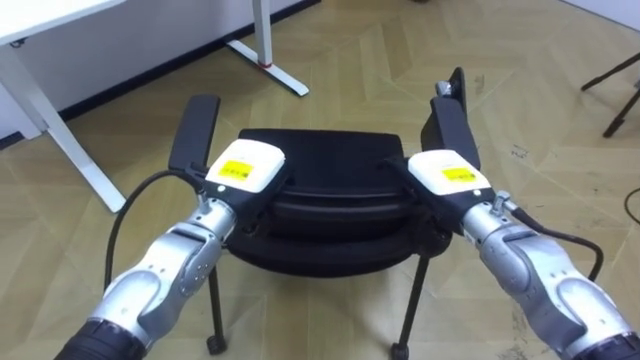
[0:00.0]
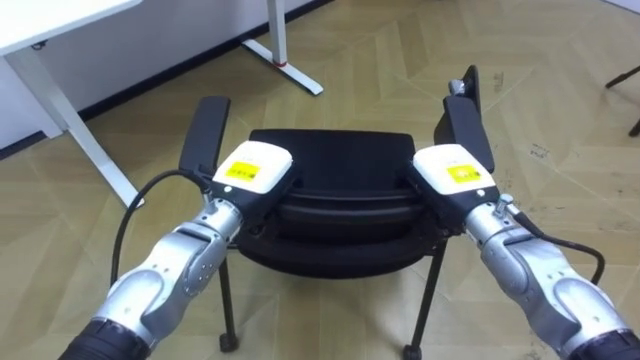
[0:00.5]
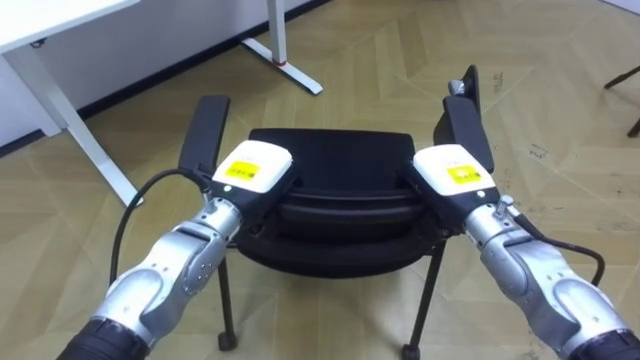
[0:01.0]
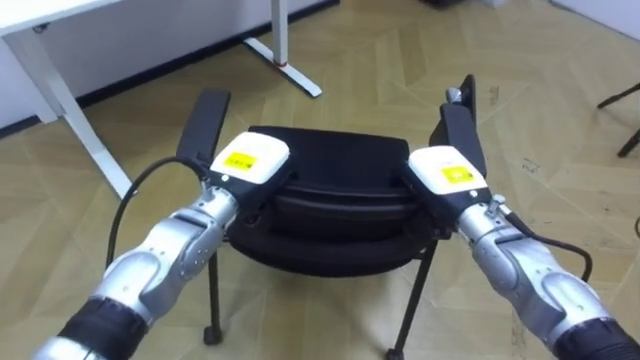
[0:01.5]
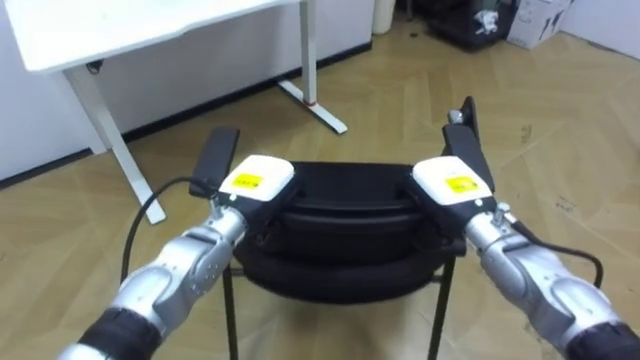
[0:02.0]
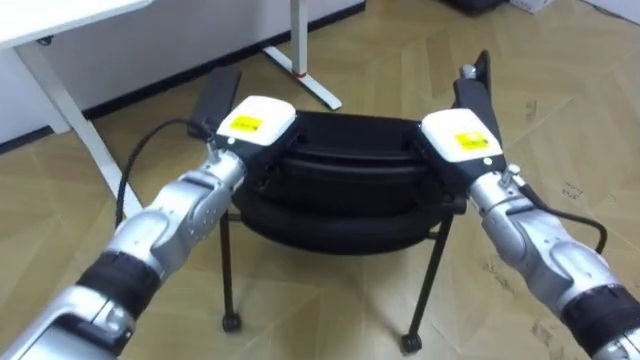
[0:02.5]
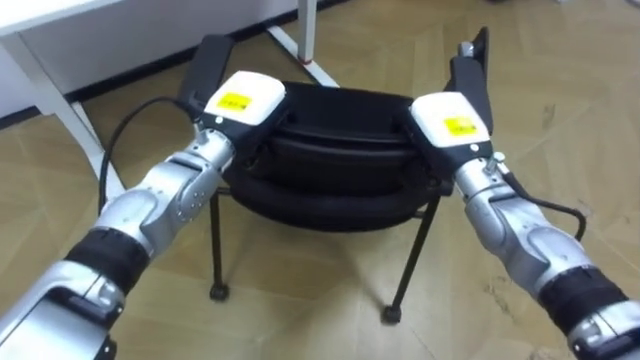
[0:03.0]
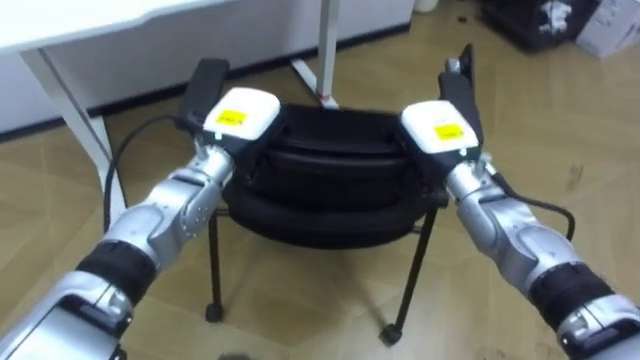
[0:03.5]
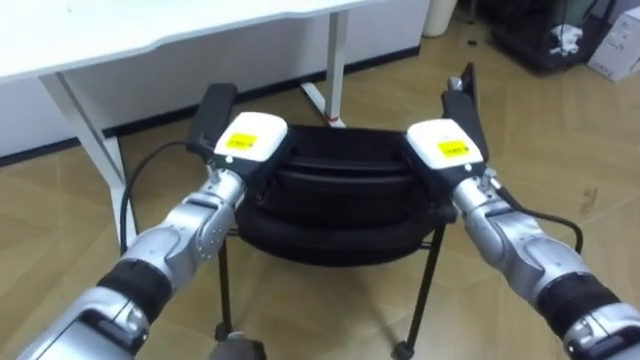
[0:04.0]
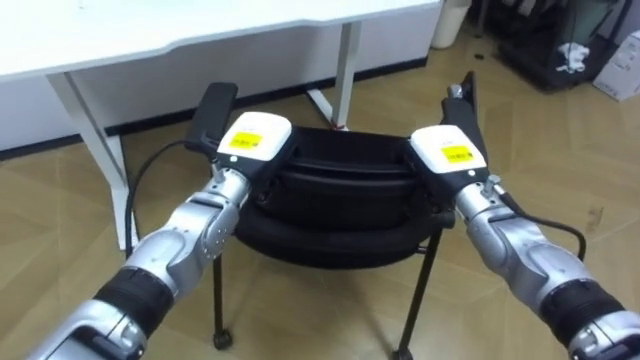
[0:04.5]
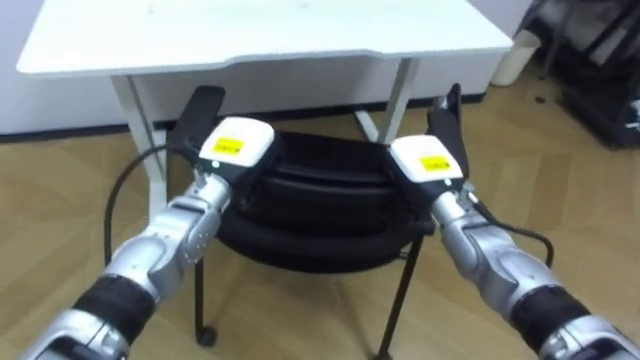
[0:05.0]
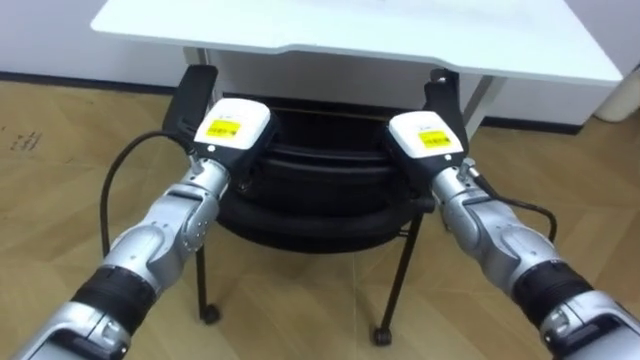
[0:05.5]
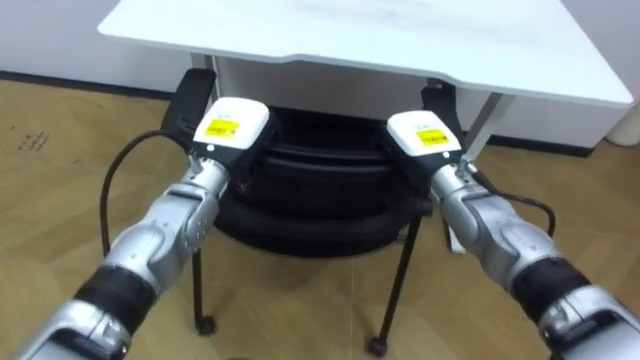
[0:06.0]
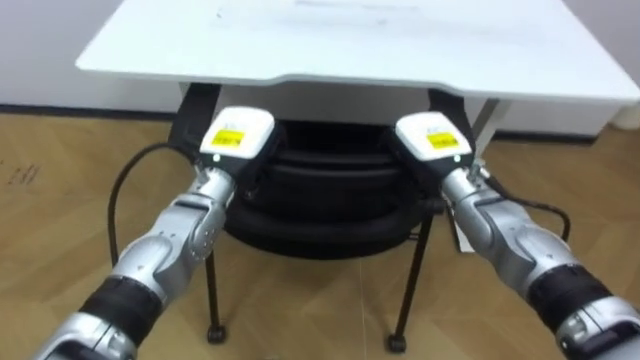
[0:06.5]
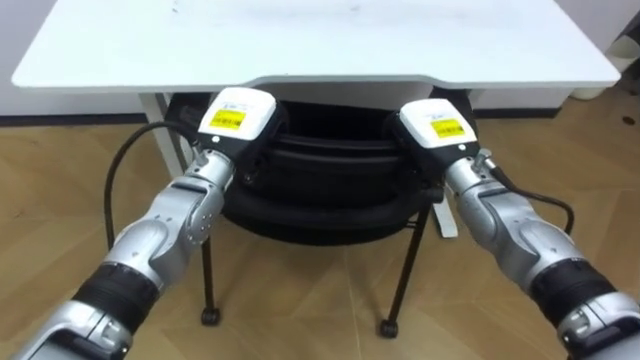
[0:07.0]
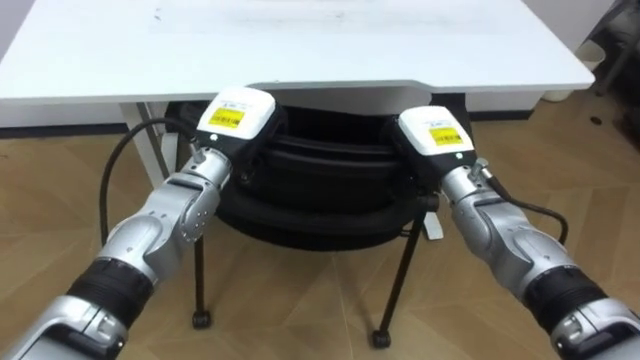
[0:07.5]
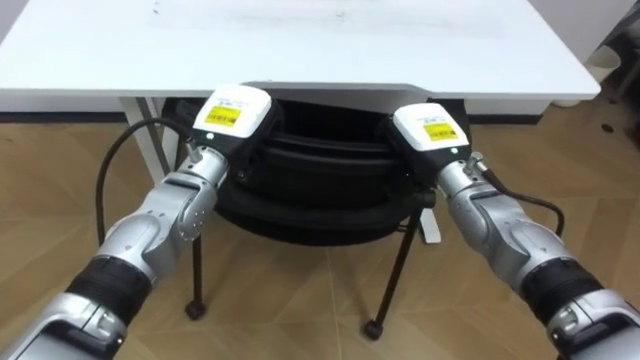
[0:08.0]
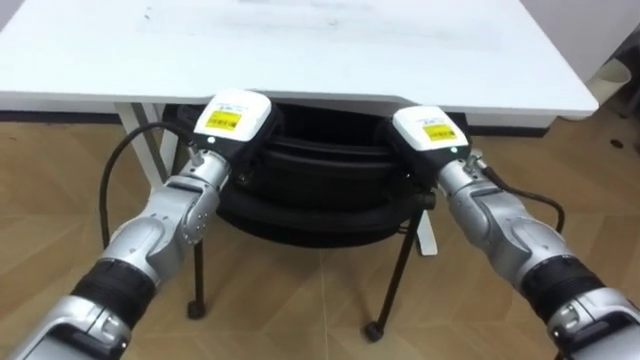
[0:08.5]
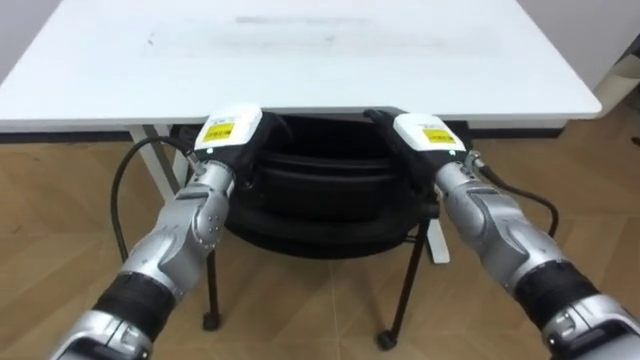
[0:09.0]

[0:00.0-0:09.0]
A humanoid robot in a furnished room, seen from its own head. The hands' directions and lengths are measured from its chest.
Task of the whole recording: Push the chair under the table.
0:00.0 to 0:02.0: The right hand closes its fingers.
0:07.0 to 0:09.0: The left hand opens, while the right hand opens its fingers.

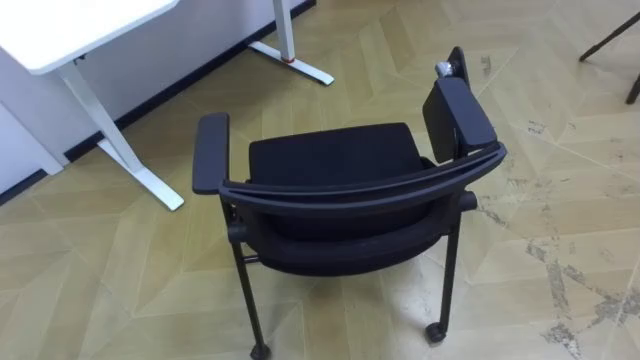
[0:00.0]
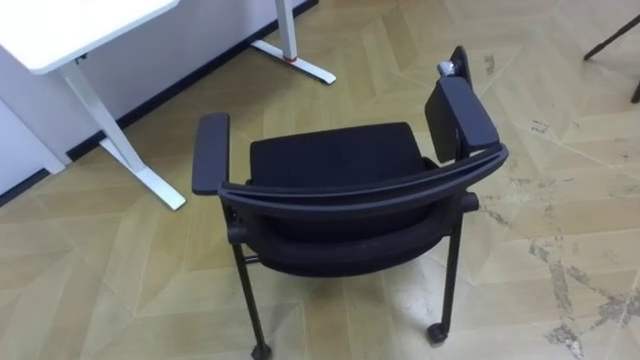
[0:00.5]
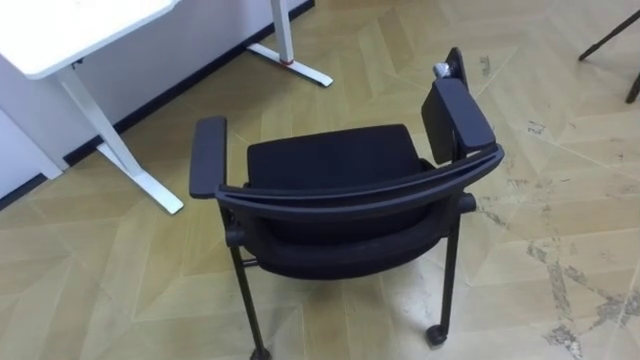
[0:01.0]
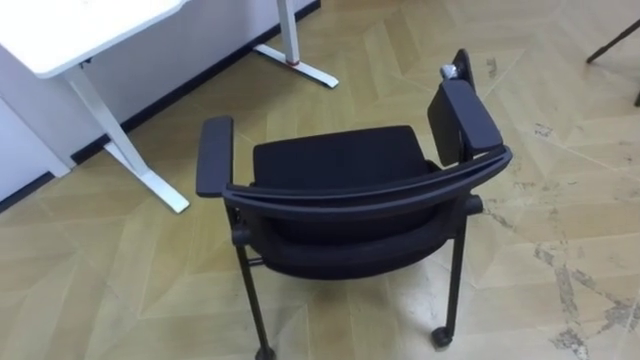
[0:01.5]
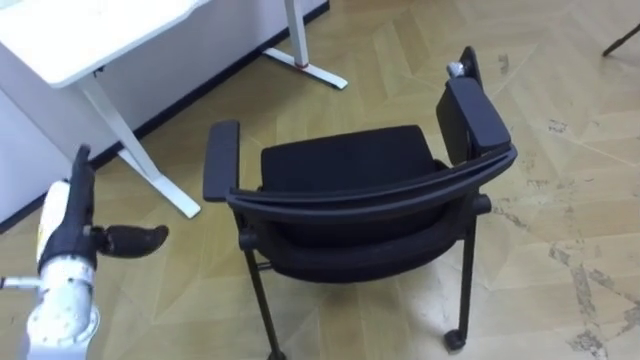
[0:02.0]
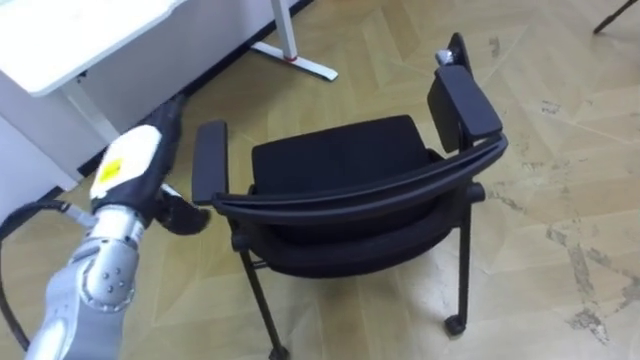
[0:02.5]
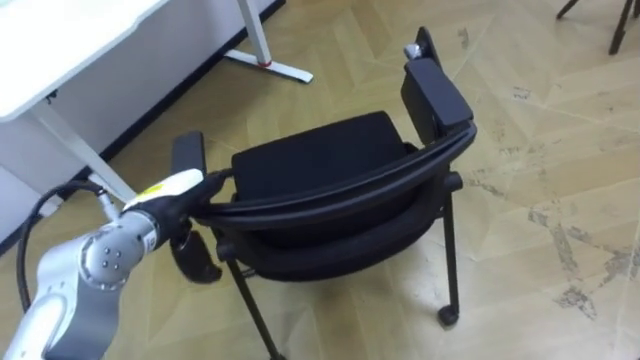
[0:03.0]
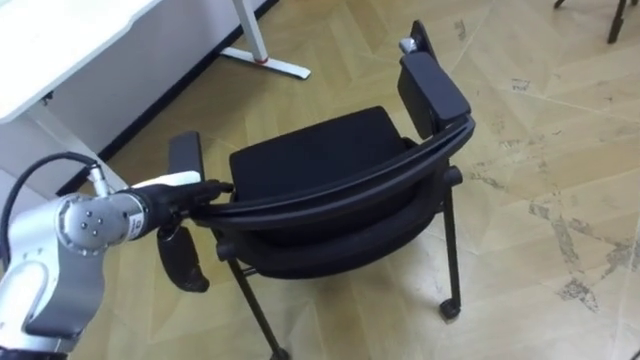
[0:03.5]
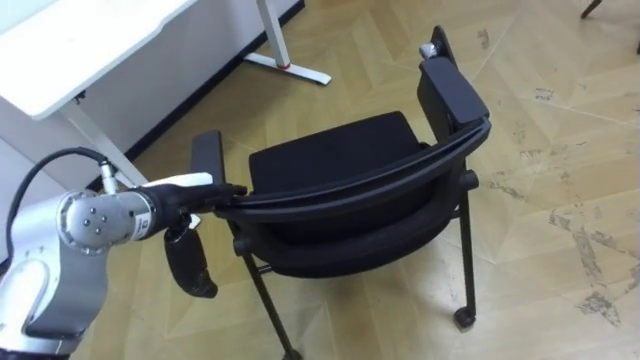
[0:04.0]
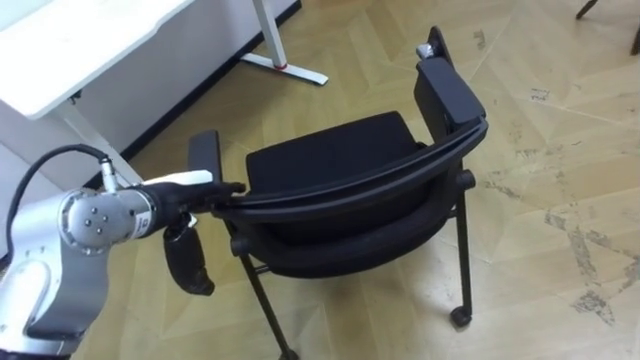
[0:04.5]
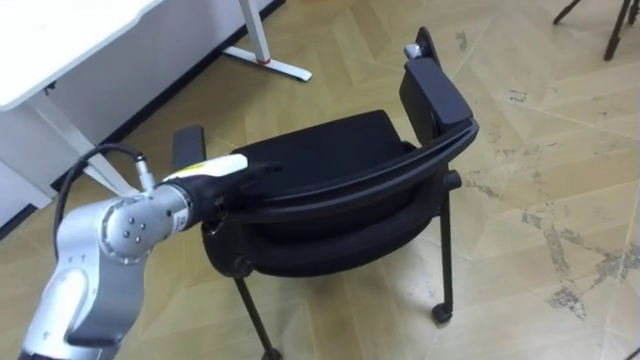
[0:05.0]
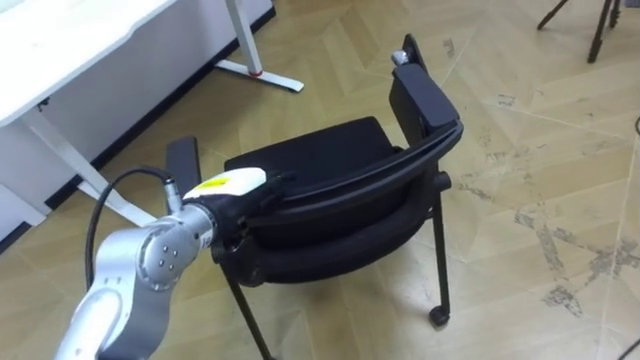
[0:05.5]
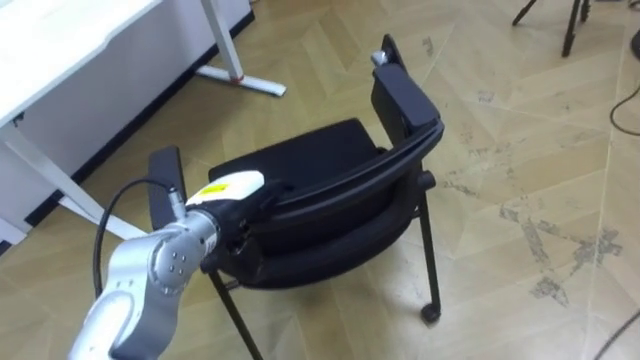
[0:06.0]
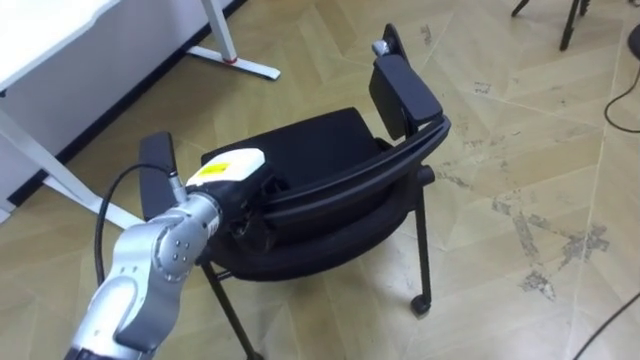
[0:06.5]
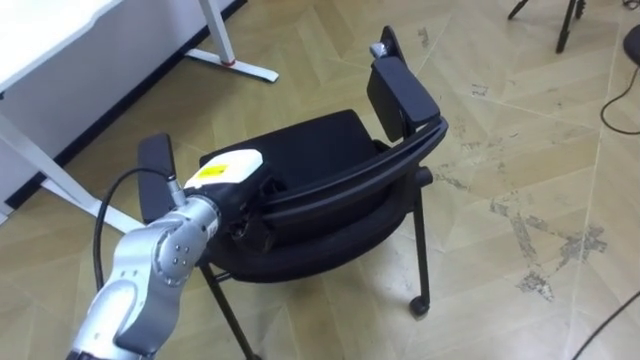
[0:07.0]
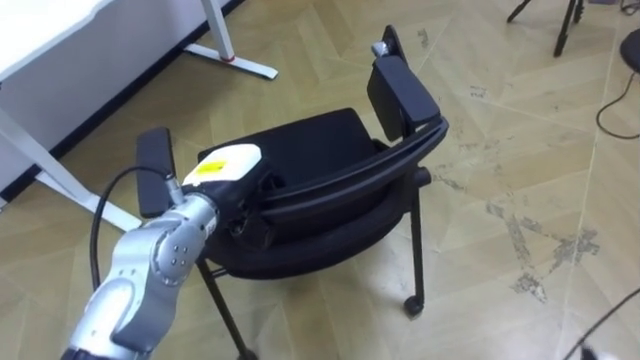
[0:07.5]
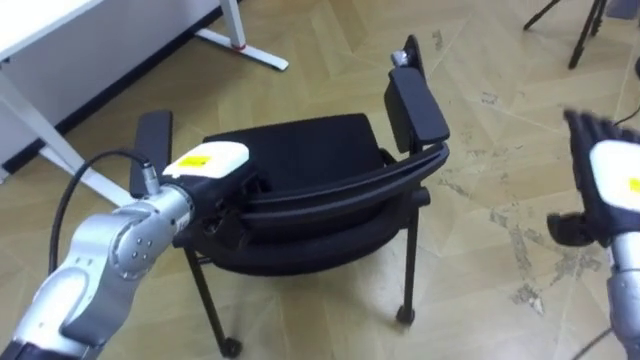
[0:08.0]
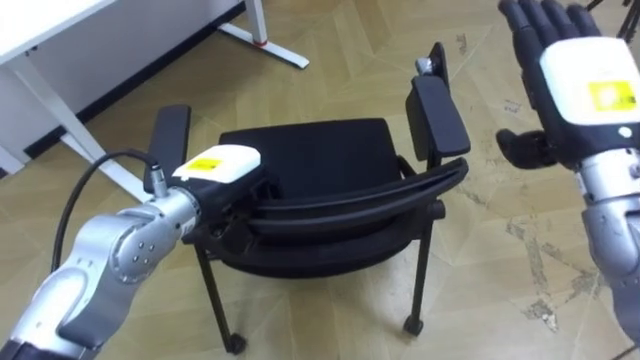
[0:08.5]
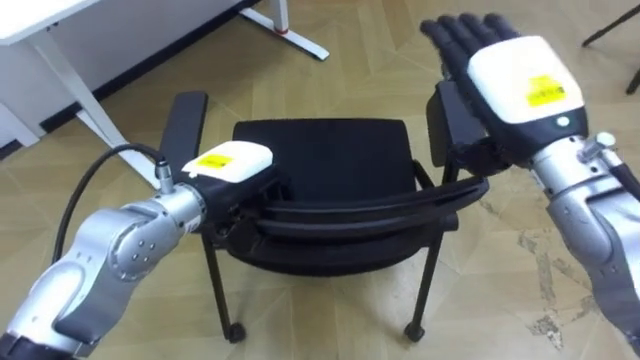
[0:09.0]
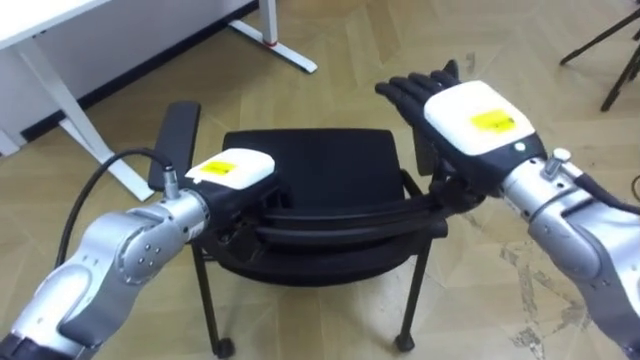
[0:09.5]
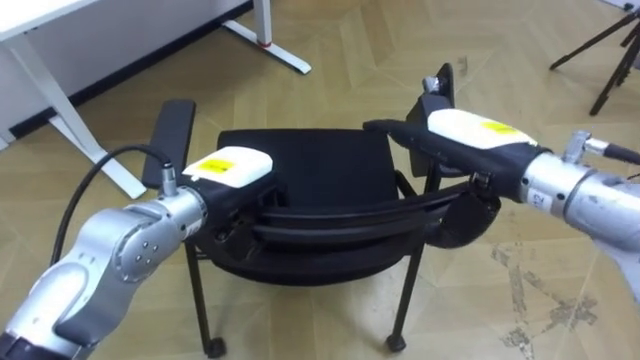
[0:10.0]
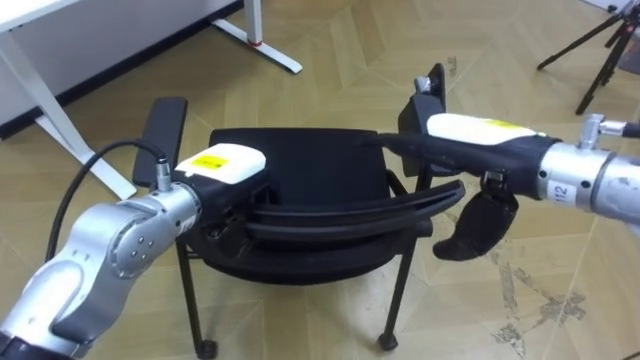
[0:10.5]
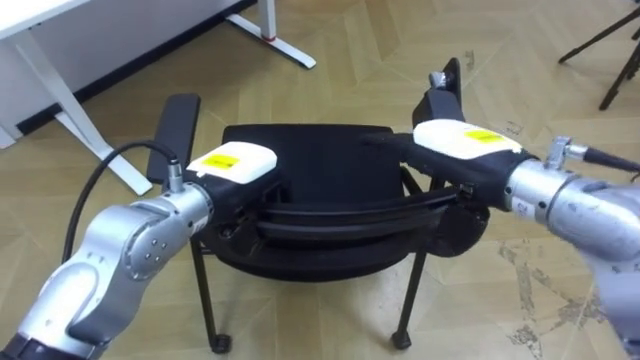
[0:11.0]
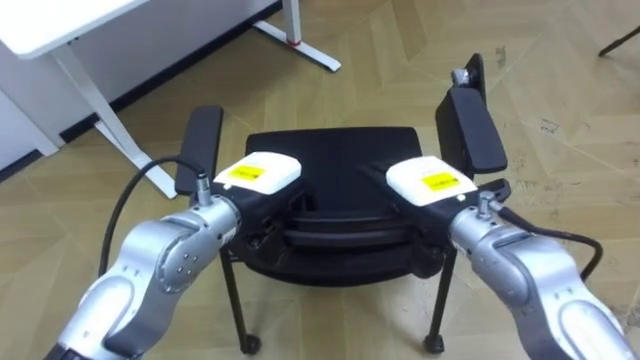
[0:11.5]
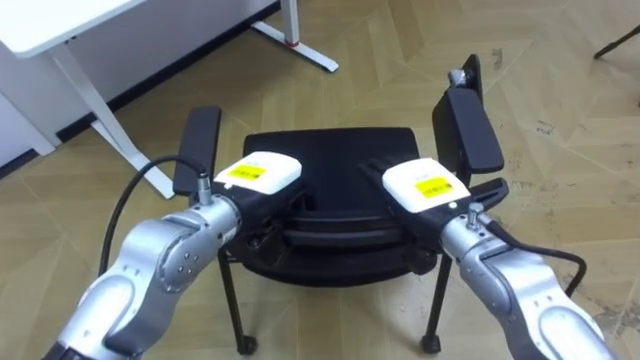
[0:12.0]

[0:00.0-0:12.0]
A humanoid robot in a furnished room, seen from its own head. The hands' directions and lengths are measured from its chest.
Task of the whole recording: Push the chair under the table.
0:02.0 to 0:04.0: The left hand heads to the right, covering about 15 cm.
0:04.0 to 0:06.0: The left hand is displaced to the right by some 5 cm.
0:06.0 to 0:08.0: The left hand closes up.
0:08.0 to 0:10.0: The right hand is displaced to the left and upward by some 20 cm.
0:10.0 to 0:12.0: The right hand moves downward, roughly 10 cm.
